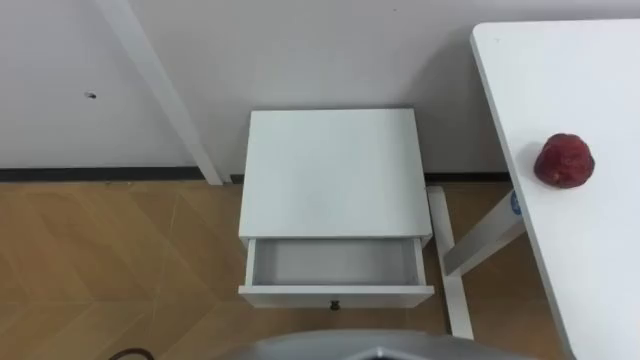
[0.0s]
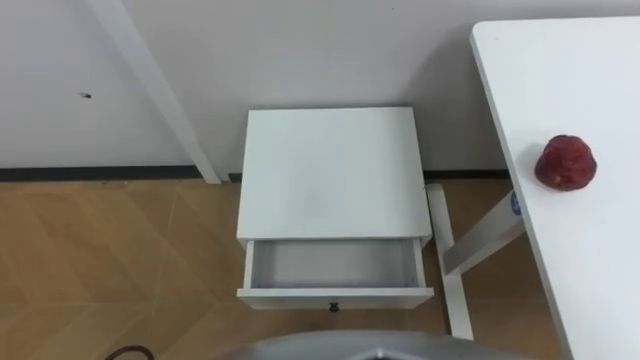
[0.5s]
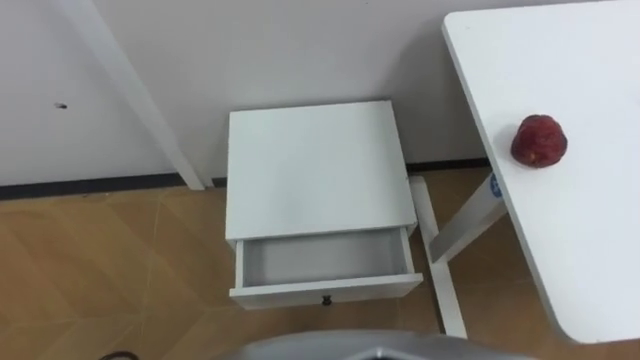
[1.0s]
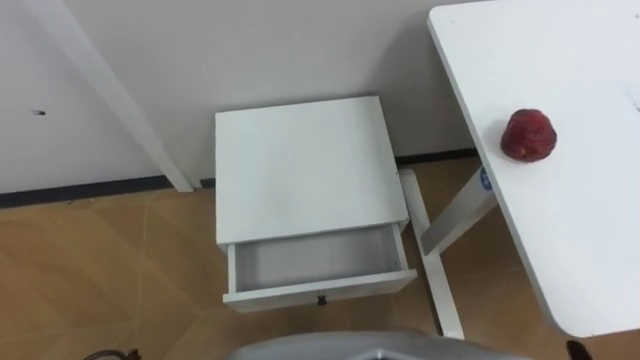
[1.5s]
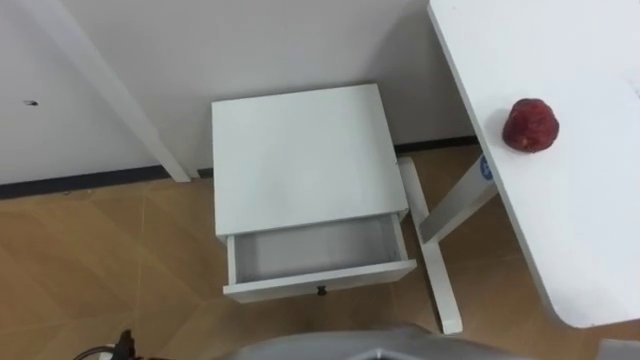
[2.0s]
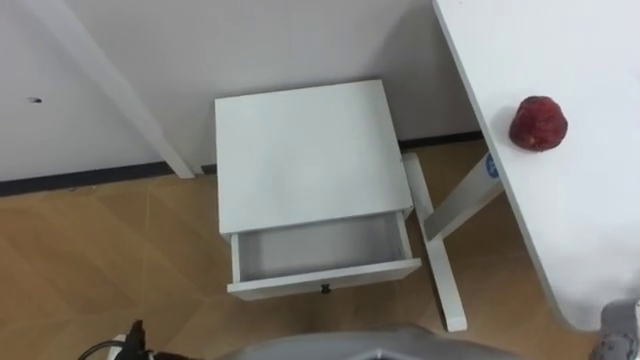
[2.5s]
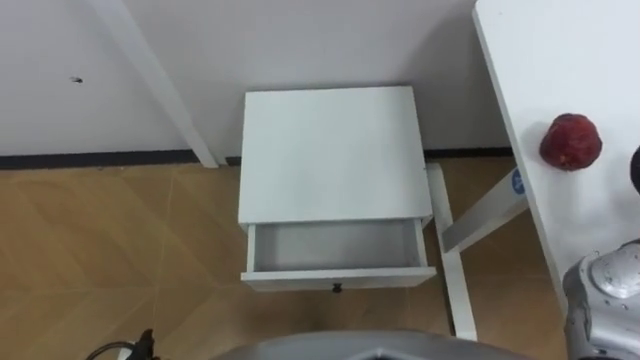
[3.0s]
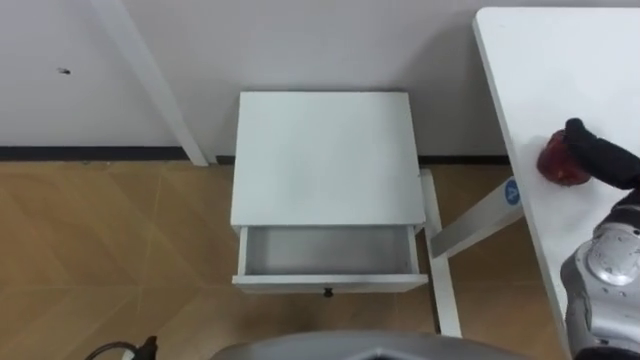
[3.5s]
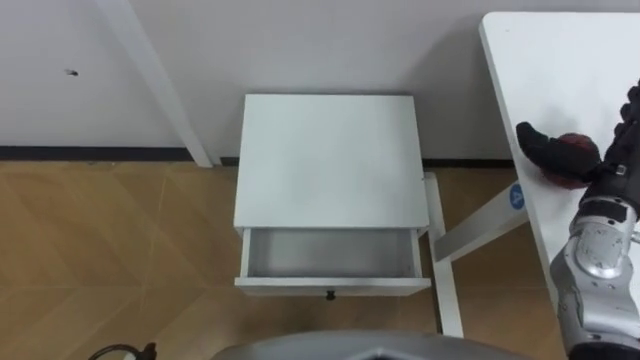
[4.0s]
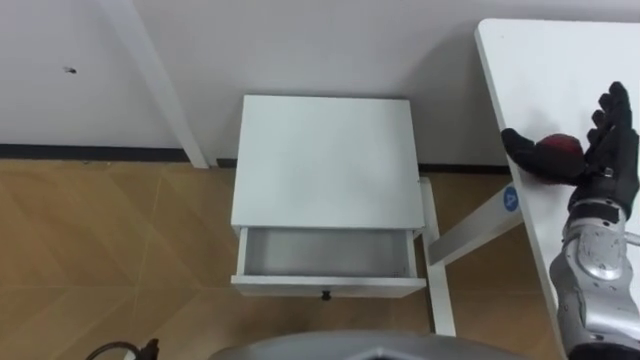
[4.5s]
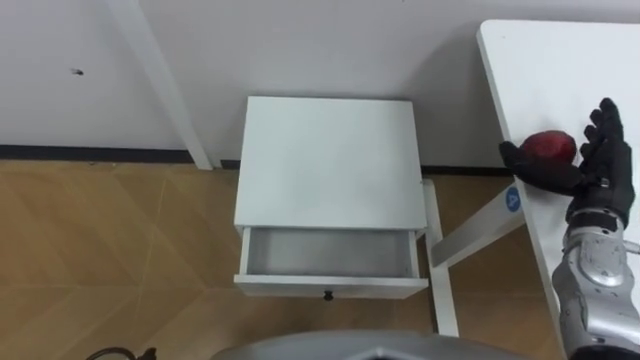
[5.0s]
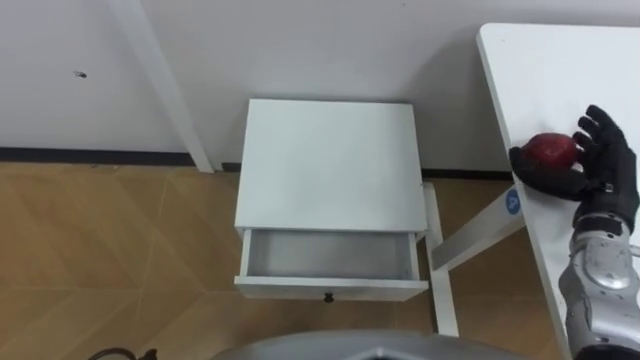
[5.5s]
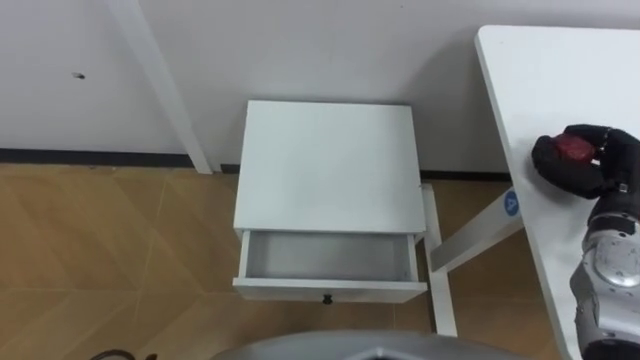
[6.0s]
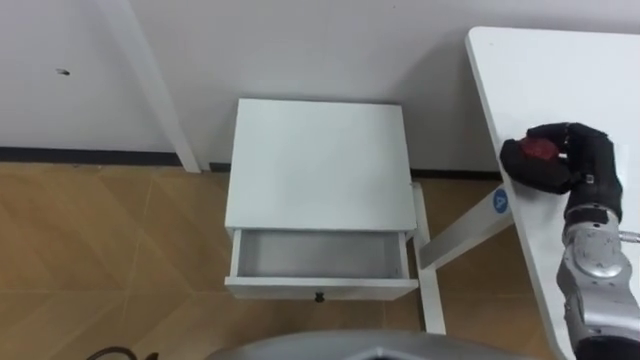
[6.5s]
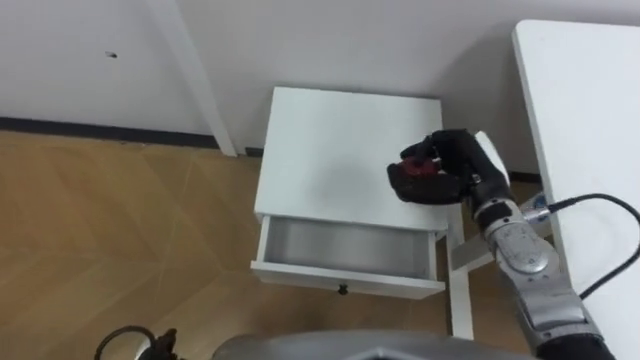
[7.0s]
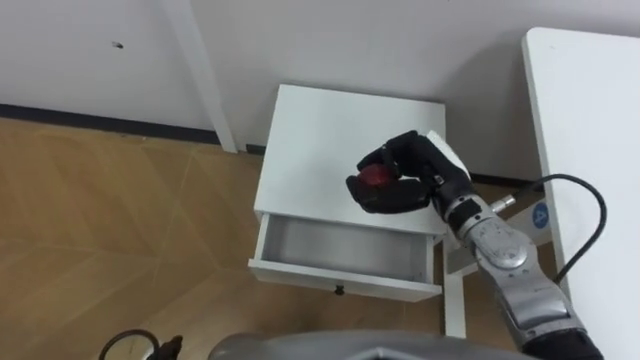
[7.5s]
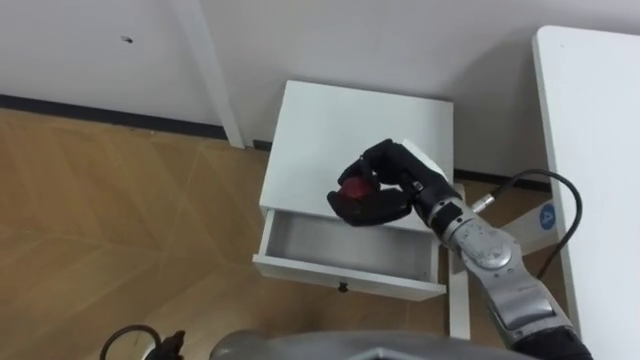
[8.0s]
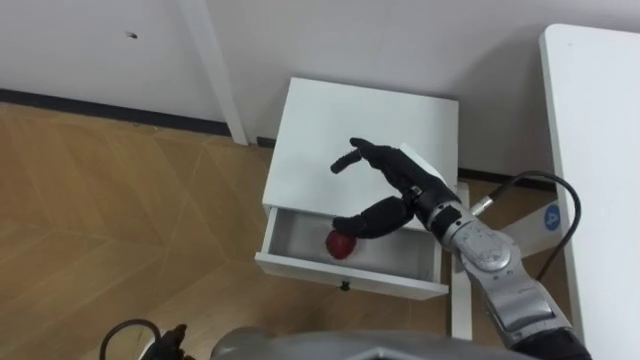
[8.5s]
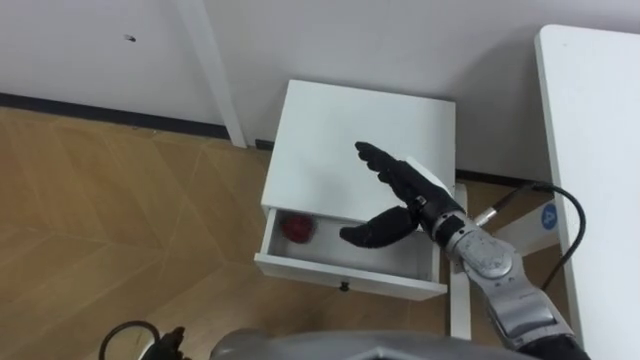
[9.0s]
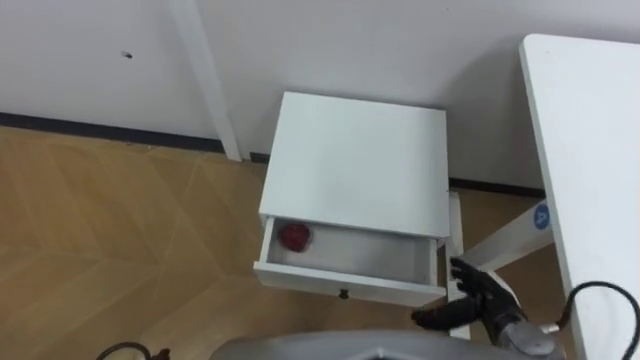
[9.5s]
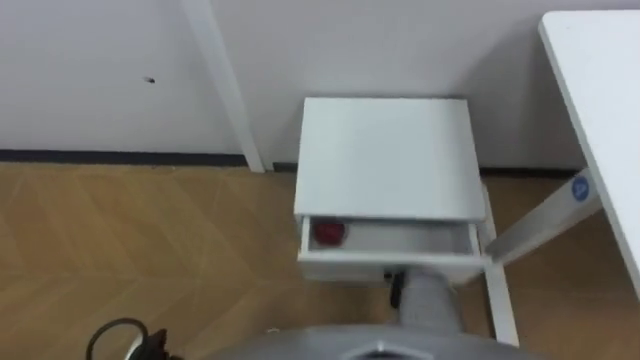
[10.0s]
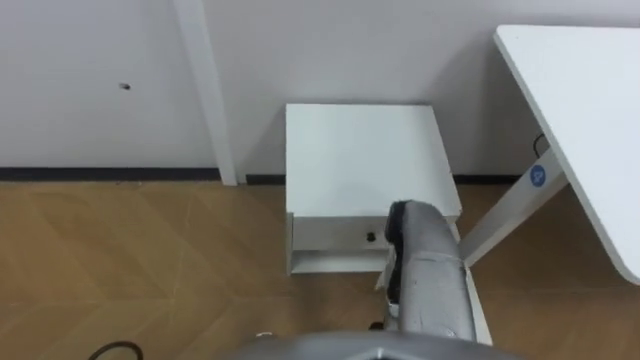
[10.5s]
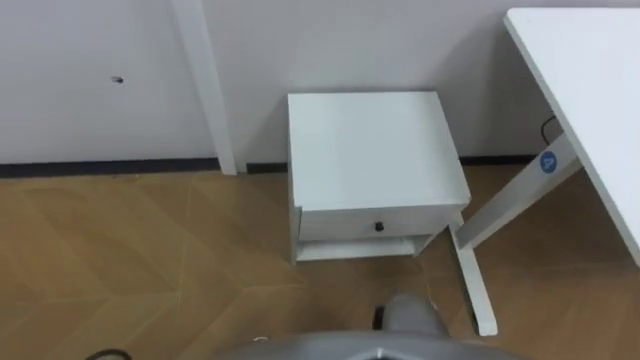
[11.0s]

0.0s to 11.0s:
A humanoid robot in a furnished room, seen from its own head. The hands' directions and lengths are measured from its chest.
Task of the whole recording: Pick up the apple from the table, put it in the drawer, and close the drawer with leg.
5.5s to 7.5s: The right hand moves to the left, approximately 20 cm, and closes its fingers.
7.5s to 9.0s: The right hand opens.

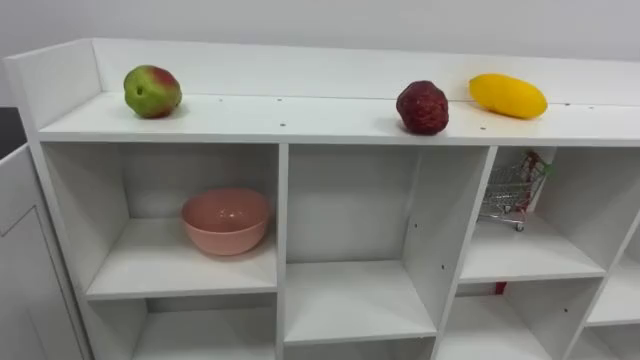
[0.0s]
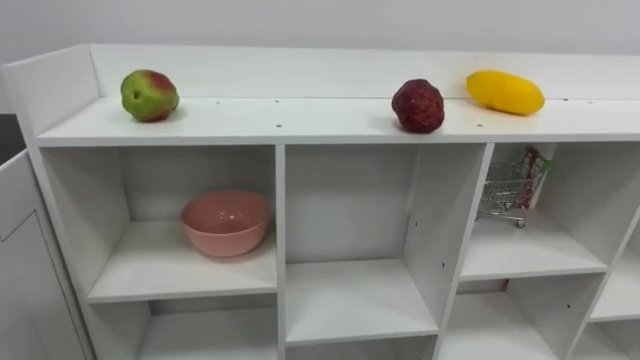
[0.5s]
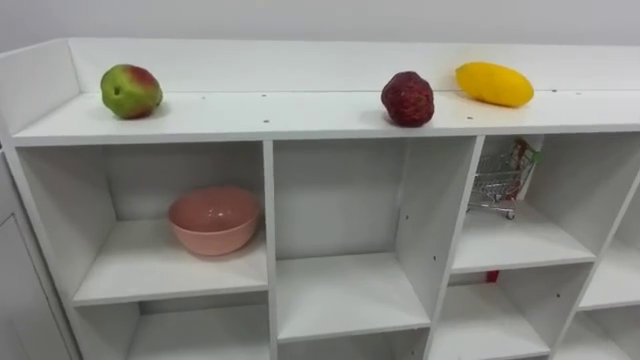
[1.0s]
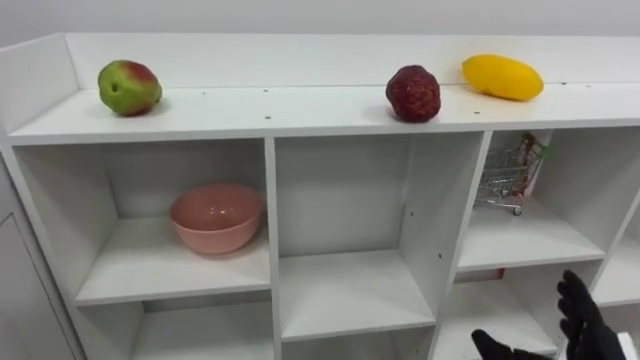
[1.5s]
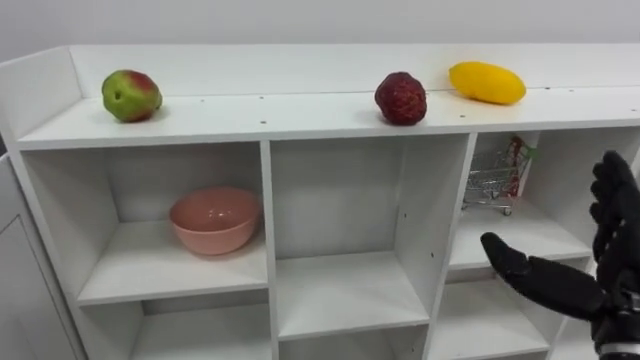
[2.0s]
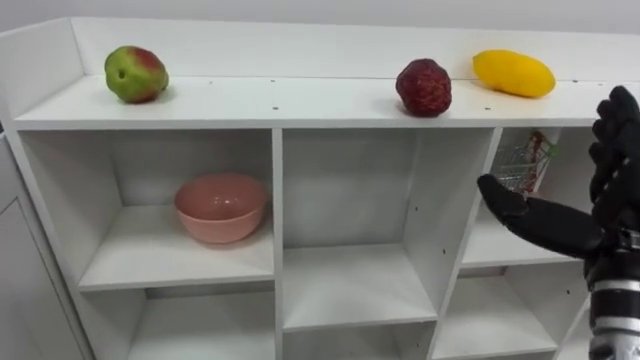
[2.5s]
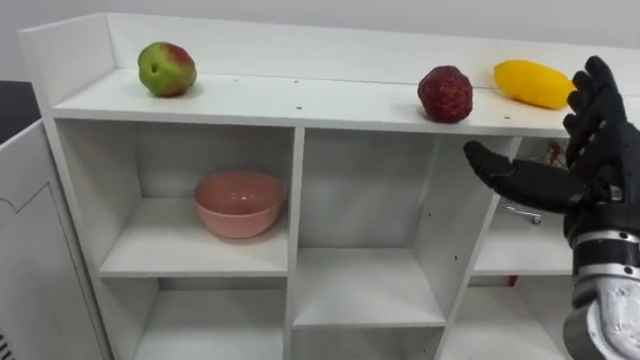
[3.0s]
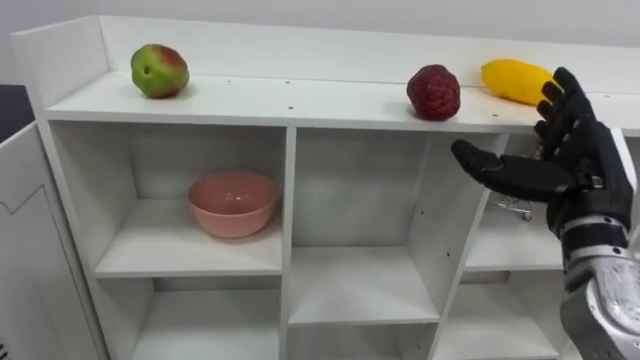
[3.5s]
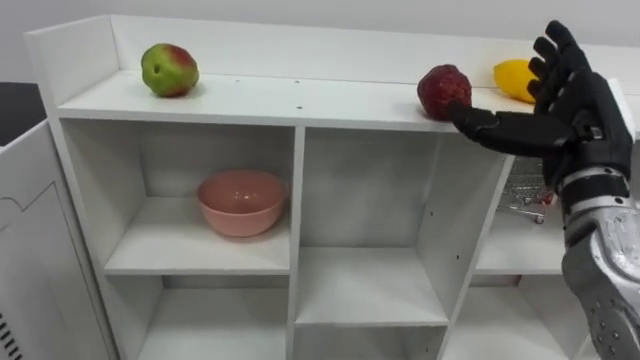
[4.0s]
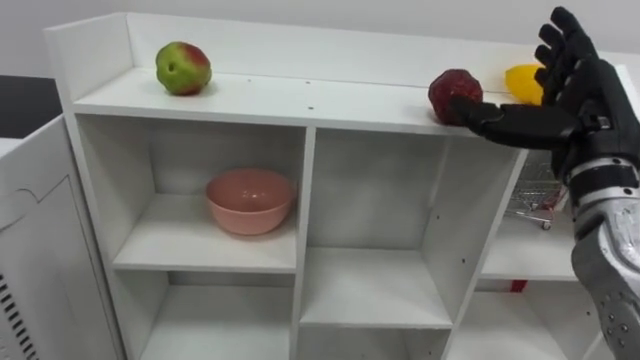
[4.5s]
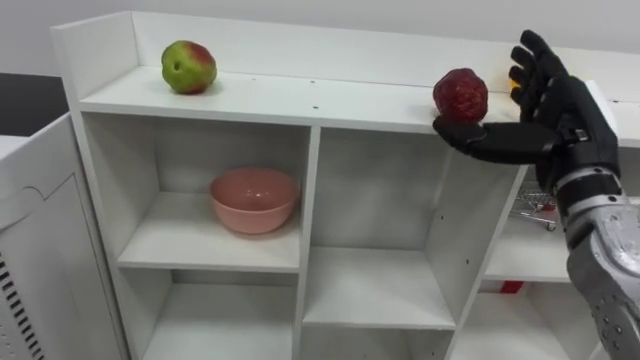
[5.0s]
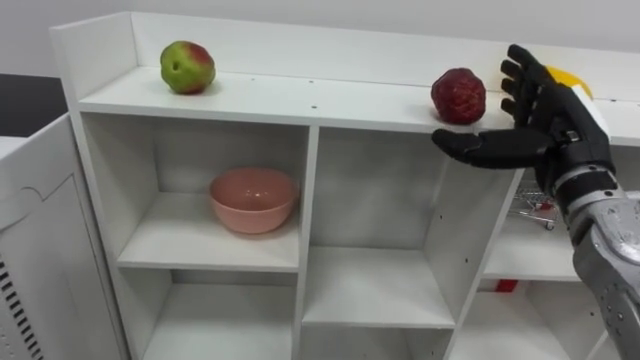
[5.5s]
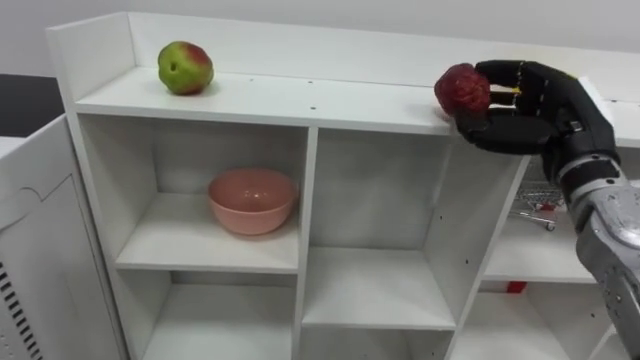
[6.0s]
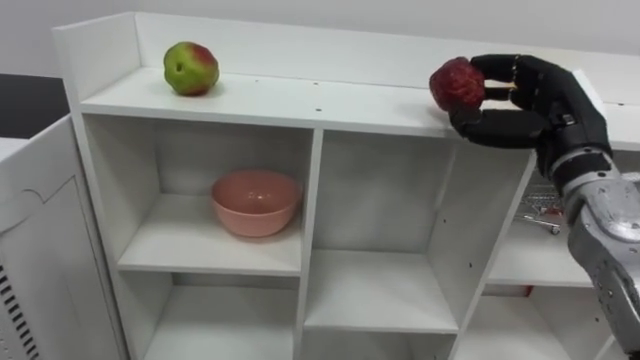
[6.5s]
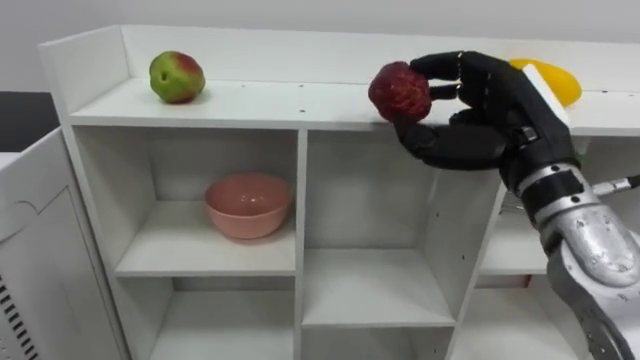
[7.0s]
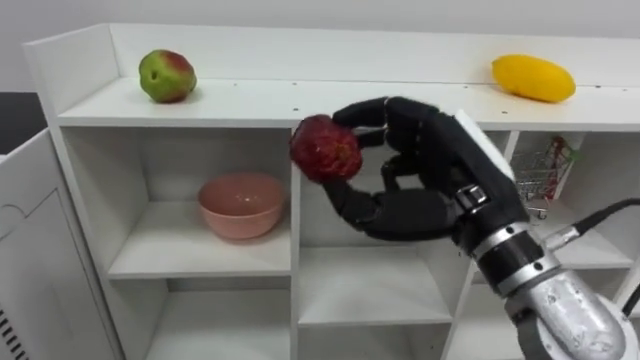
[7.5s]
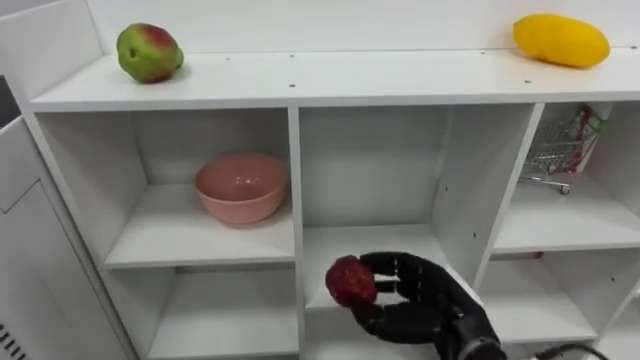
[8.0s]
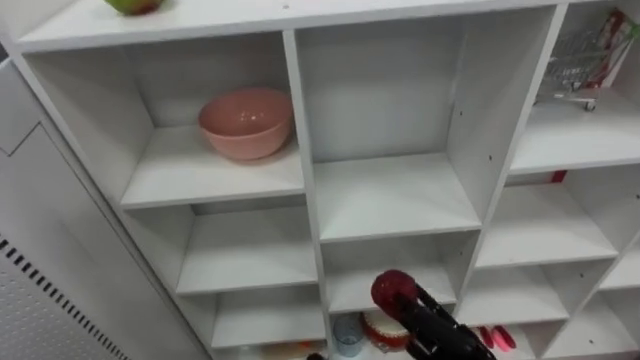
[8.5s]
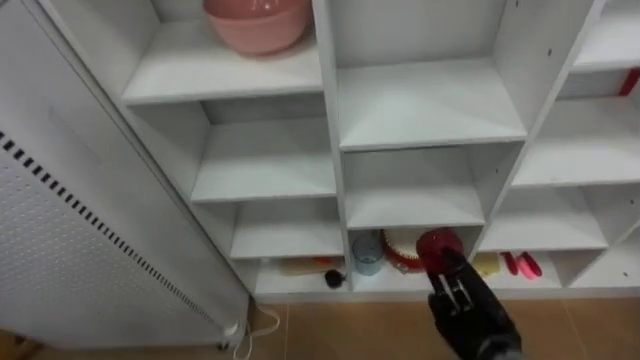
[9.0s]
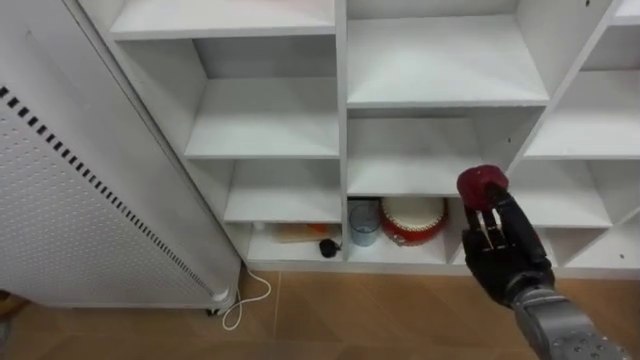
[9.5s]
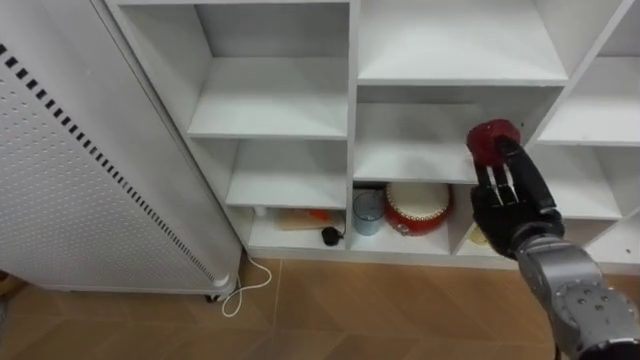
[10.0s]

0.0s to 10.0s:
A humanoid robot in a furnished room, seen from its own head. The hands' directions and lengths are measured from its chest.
Task of the whole recording: Put the apple in the cell in the second column from the left and the second row from the top.
2.0s to 4.0s: The right hand goes roughly 15 cm upward and forward.
4.0s to 6.0s: The right hand closes.
6.0s to 8.0s: The right hand is displaced downward and to the left by approximately 20 cm.
